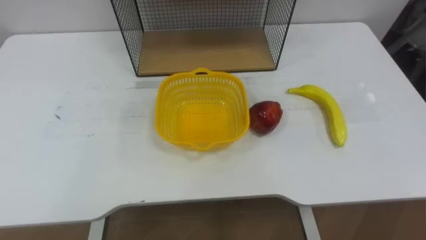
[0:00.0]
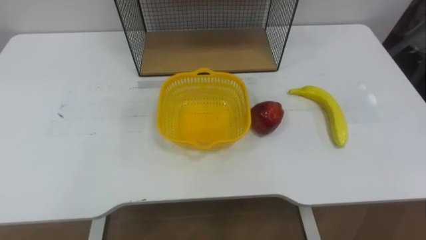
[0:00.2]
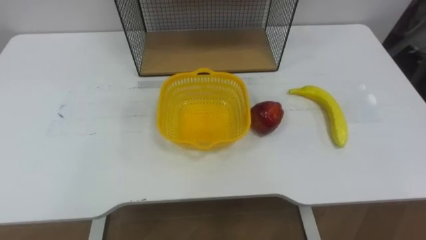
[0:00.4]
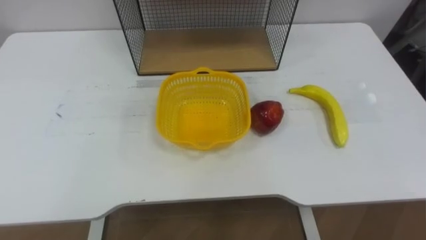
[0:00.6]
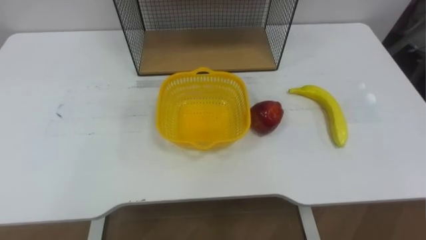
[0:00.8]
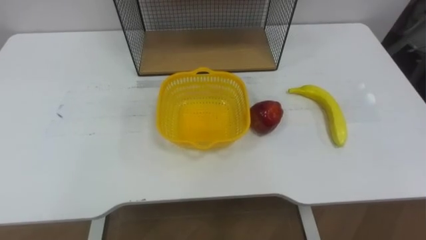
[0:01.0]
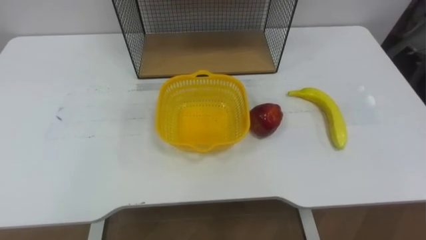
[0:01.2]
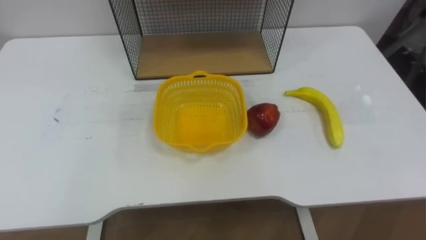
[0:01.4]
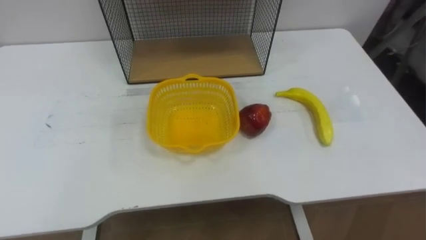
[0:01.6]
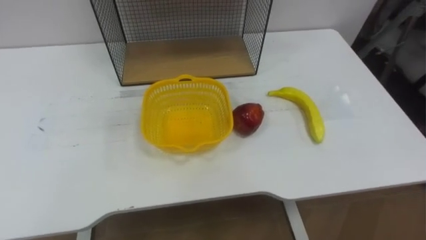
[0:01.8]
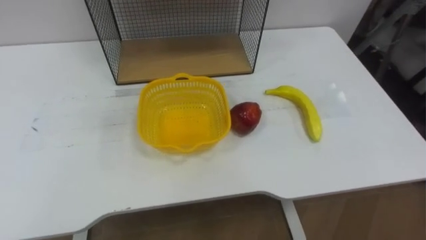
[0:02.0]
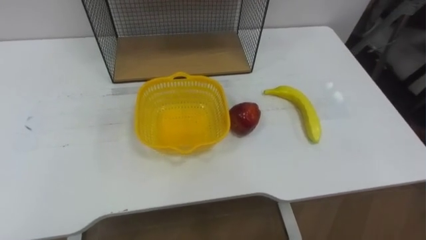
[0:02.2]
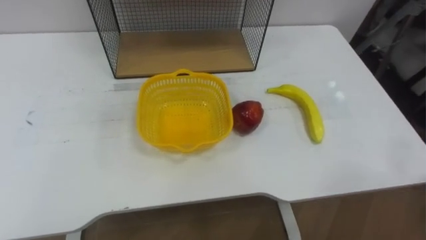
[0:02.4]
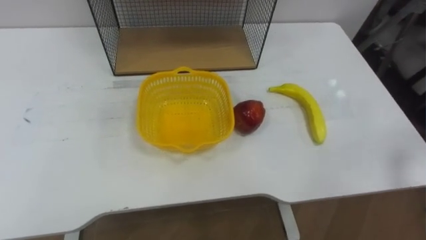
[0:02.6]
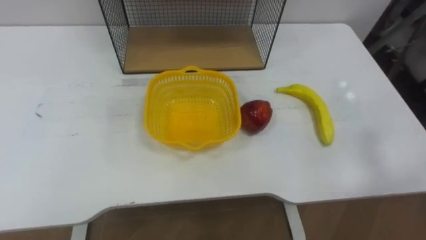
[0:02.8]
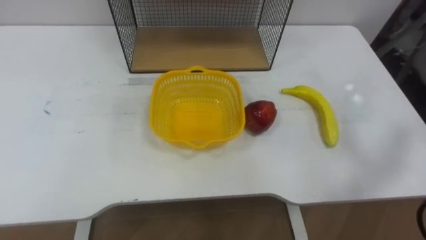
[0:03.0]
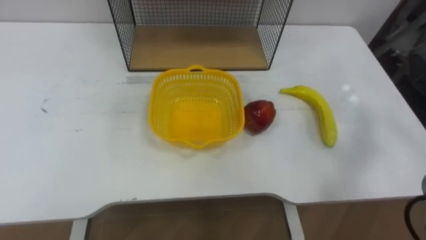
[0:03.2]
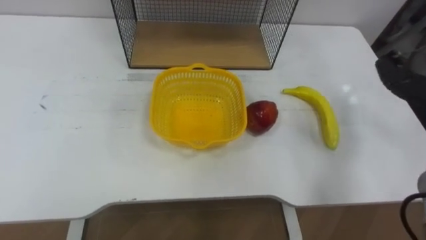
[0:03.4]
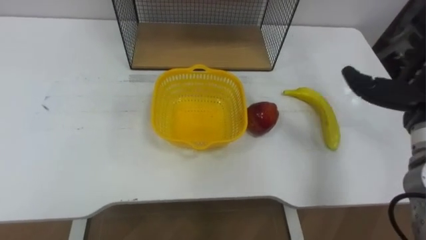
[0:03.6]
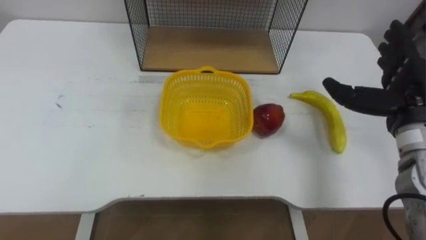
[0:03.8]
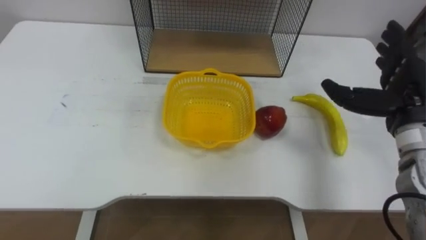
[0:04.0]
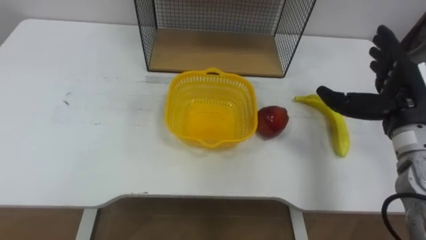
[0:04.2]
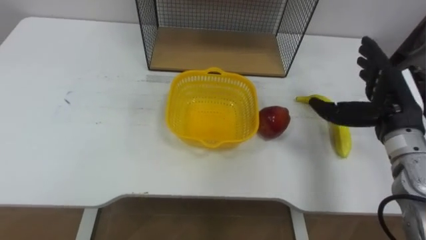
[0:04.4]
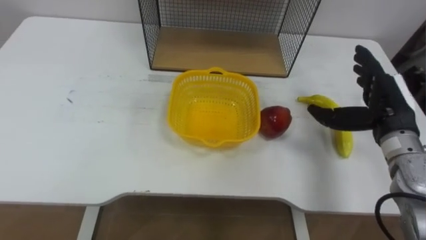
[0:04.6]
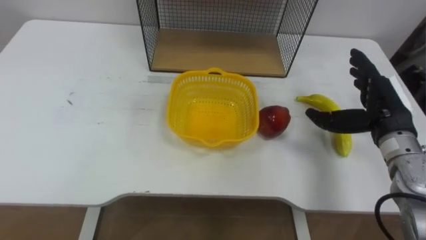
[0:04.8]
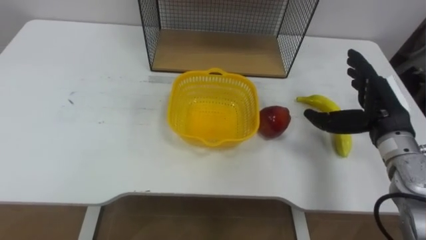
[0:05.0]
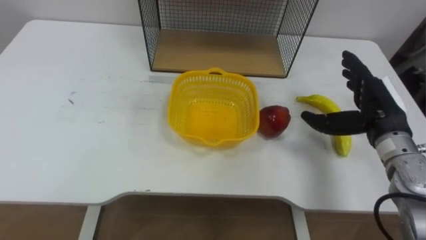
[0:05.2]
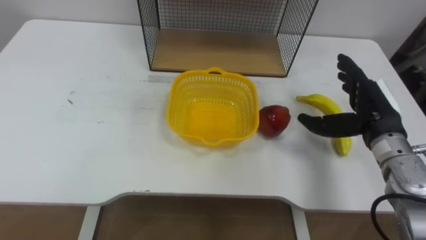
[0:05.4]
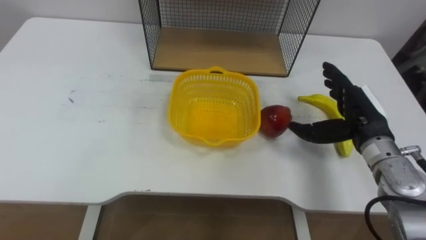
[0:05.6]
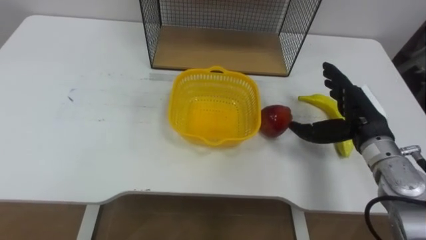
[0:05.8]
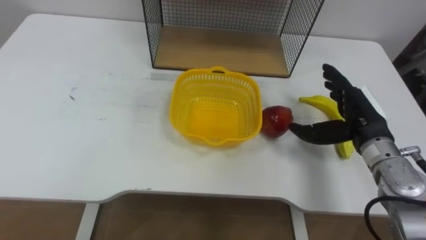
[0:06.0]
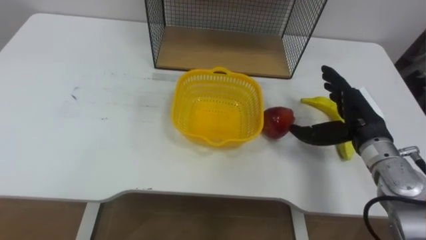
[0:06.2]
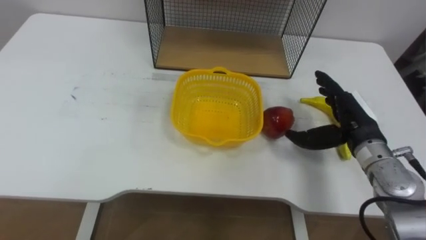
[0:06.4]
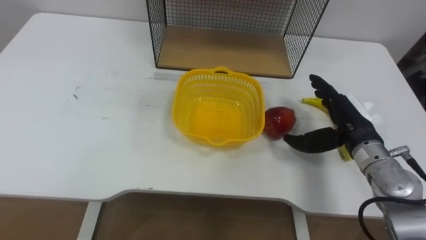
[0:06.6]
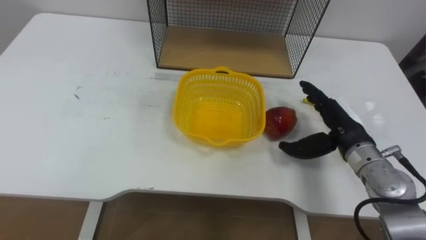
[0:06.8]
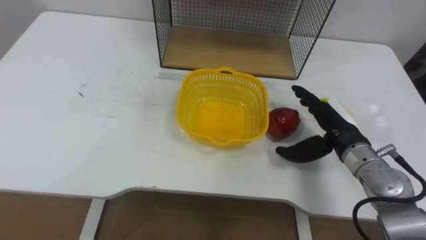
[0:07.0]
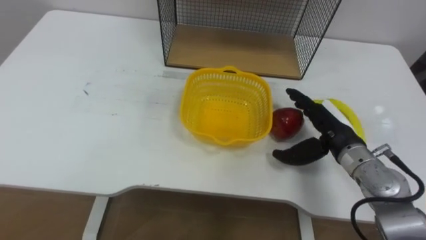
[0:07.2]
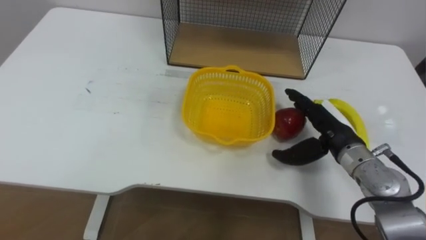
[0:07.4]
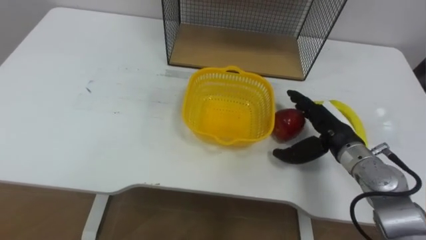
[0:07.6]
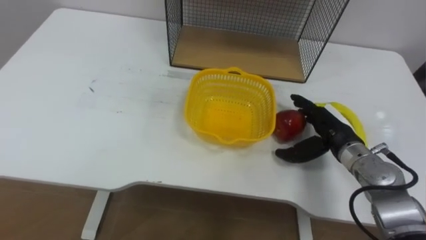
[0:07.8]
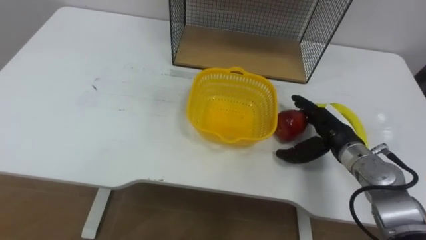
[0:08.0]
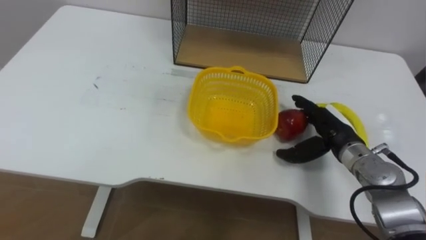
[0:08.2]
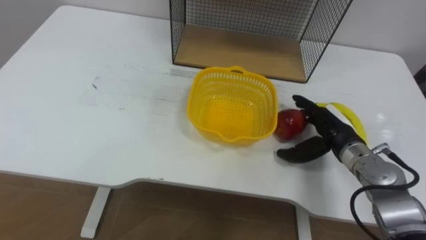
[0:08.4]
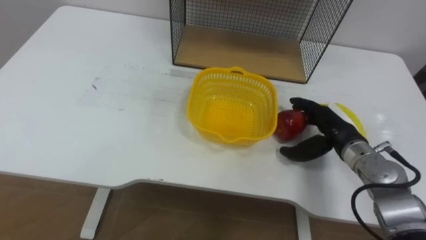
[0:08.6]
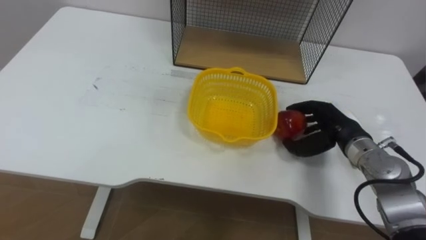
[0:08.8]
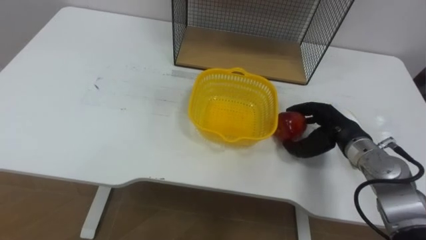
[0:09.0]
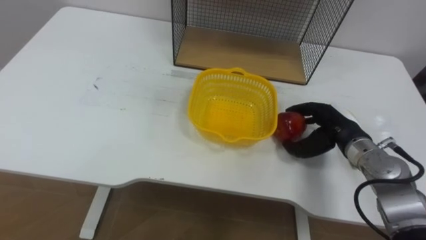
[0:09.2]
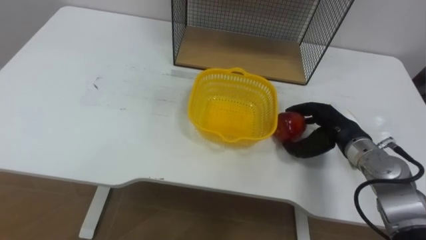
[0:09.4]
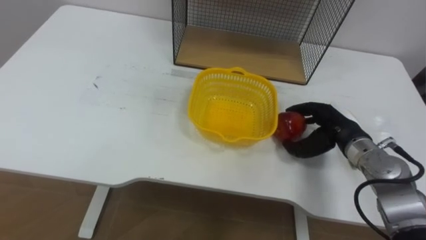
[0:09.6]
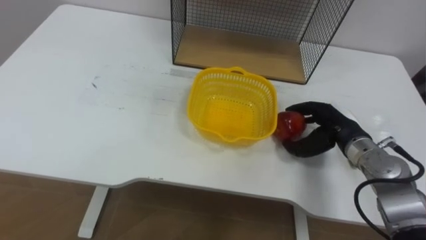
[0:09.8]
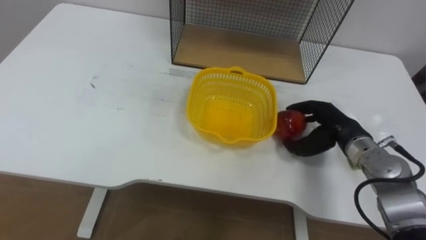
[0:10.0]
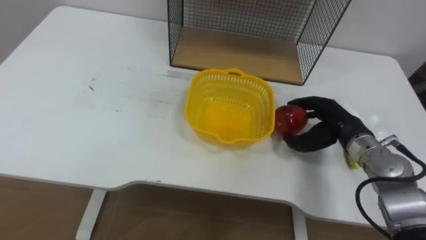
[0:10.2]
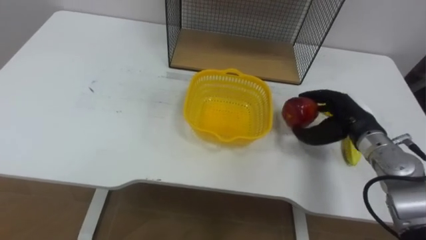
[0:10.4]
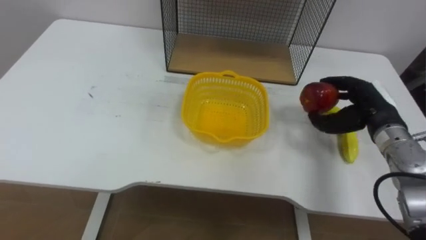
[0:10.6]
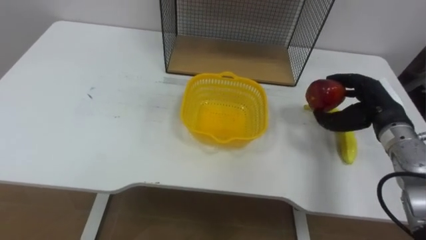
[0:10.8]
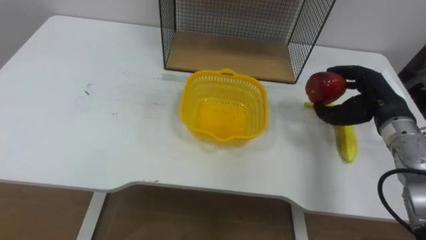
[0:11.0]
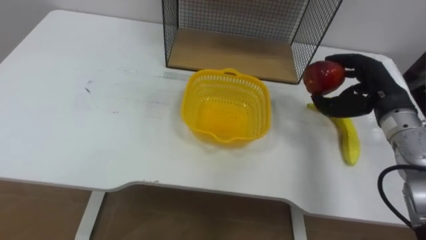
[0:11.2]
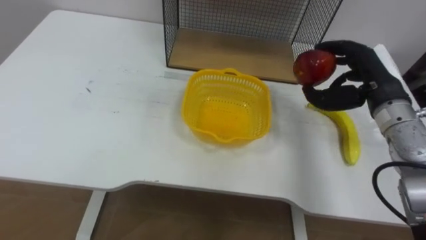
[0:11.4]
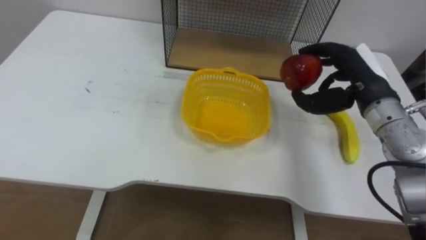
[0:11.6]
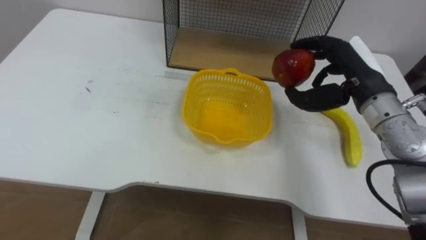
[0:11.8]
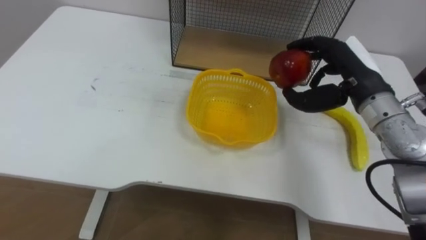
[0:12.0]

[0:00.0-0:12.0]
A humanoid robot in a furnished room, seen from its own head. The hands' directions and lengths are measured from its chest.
Task of the whole recording: Put the fruit on the table into the basket, then place the basket on the shelf.
0:04.4 to 0:06.0: The right hand ends up approximately 5 cm from where it was.
0:06.0 to 0:07.6: The right hand shifts by approximately 5 cm.
0:07.6 to 0:09.0: The right hand closes its fingers.
0:10.4 to 0:12.0: The right hand moves upward, about 10 cm.

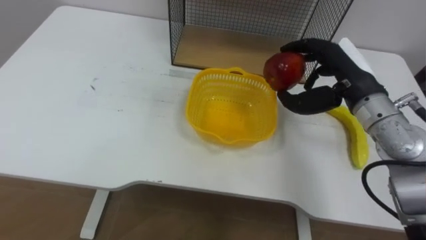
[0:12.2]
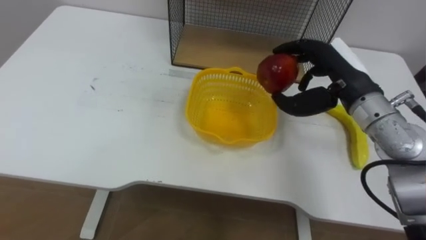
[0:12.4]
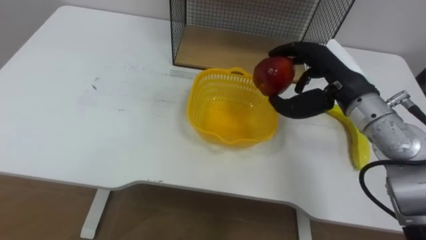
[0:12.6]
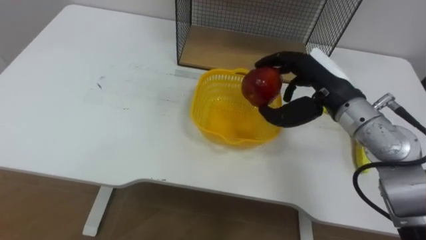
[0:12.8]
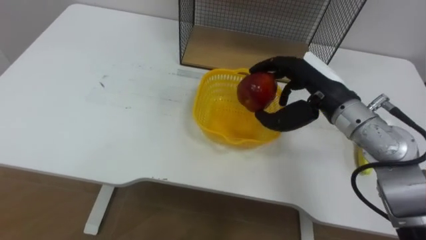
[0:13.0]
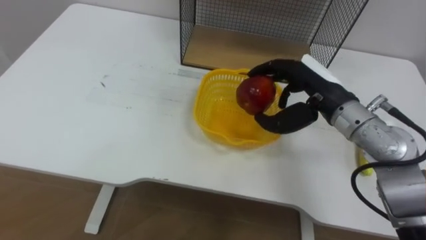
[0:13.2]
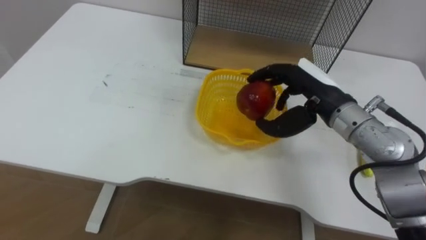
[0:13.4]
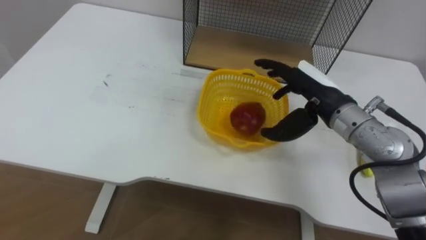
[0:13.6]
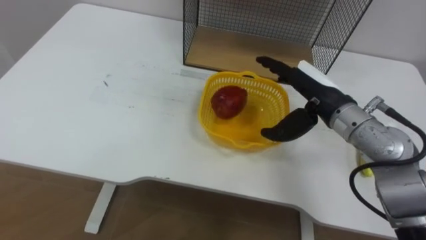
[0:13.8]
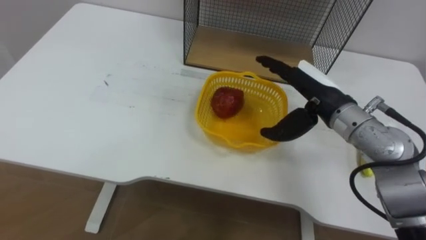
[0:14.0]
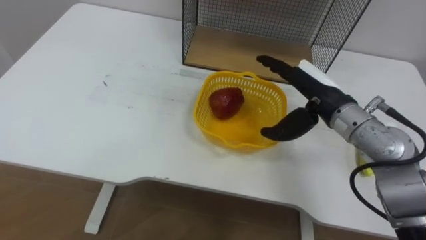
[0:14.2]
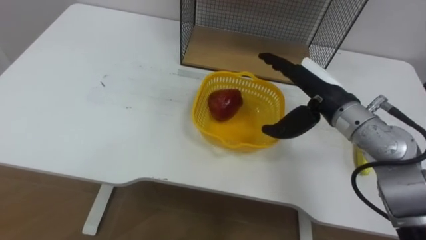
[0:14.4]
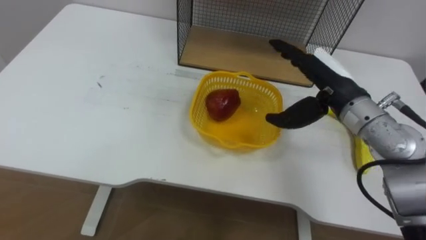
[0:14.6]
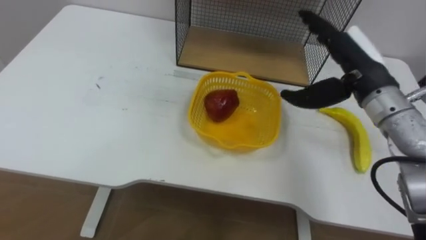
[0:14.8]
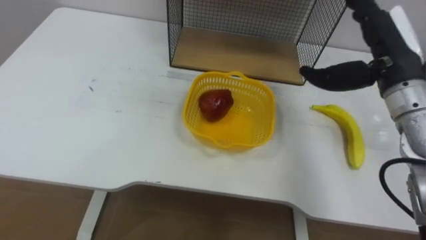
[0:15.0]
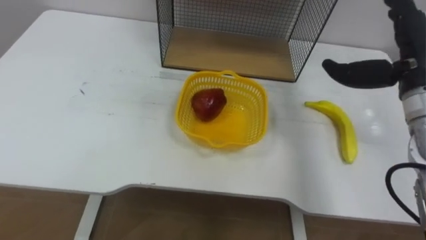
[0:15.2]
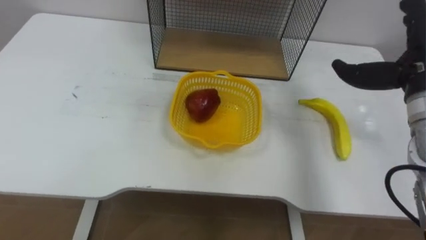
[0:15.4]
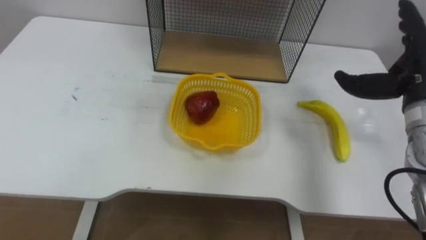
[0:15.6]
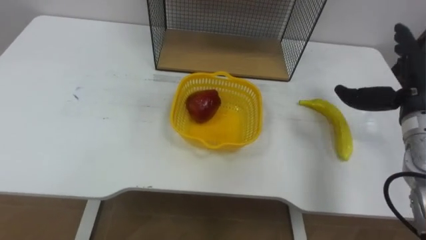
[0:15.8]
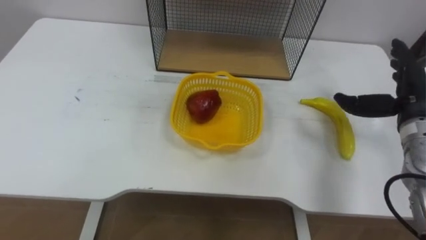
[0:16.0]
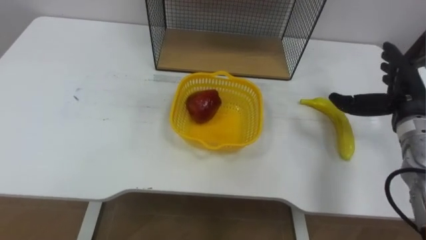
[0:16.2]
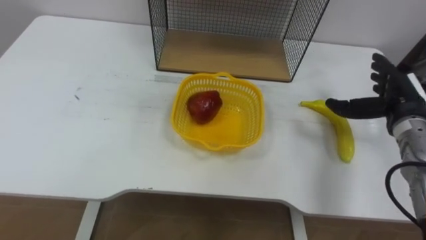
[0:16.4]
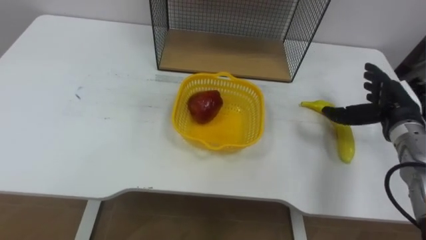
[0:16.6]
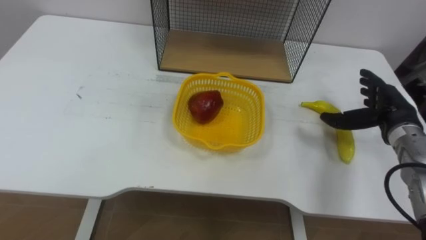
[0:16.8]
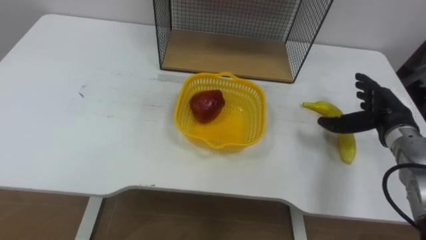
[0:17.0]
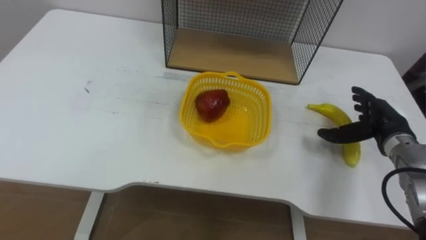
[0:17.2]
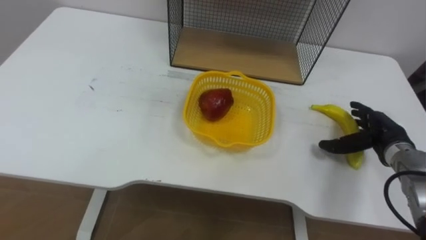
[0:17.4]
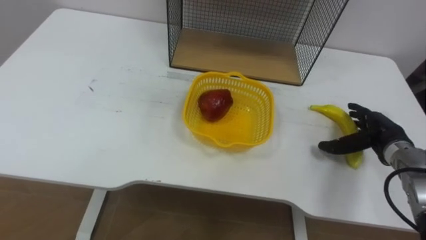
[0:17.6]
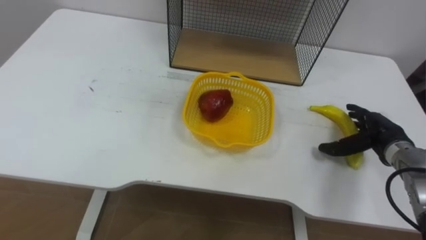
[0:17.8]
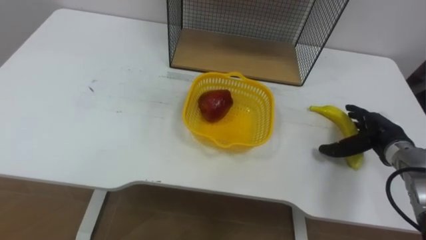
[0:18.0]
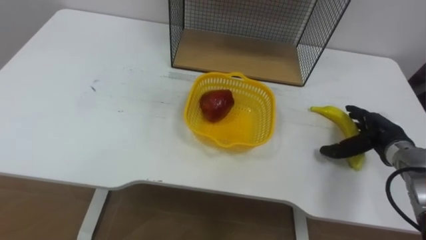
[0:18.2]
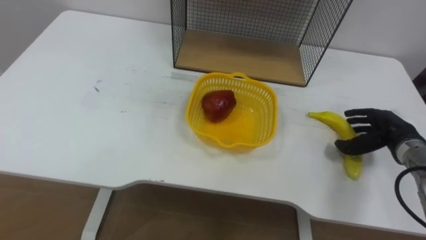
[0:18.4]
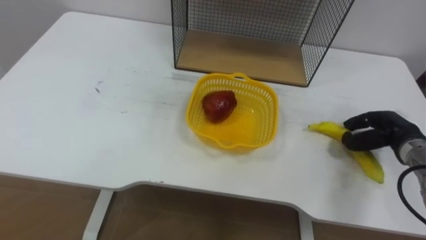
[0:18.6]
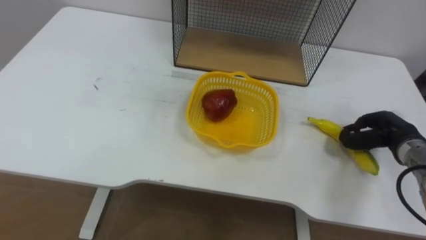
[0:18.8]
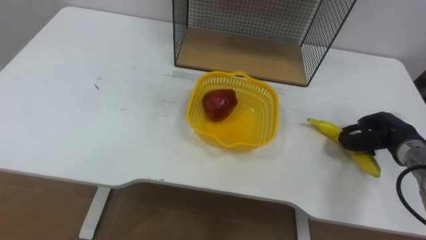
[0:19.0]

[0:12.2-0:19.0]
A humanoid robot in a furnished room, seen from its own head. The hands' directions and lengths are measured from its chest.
Task of the whole recording: Put the fruit on the table into the basket, then place the basket on the shelf.
0:12.2 to 0:13.6: The right hand changes place by approximately 5 cm.
0:13.6 to 0:15.0: The right hand is displaced to the right and upward by some 10 cm.
0:15.0 to 0:16.2: The right hand shifts some 15 cm downward and to the right.
0:16.2 to 0:17.6: The right hand heads downward, covering approximately 10 cm.
0:17.6 to 0:19.0: The right hand closes.
